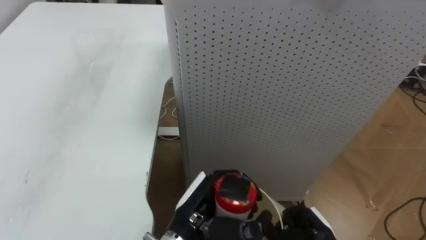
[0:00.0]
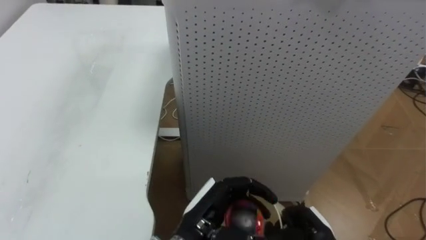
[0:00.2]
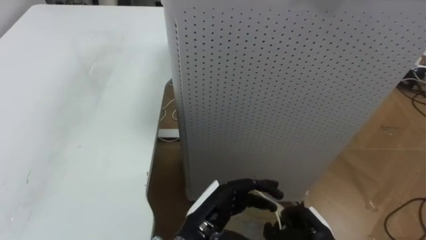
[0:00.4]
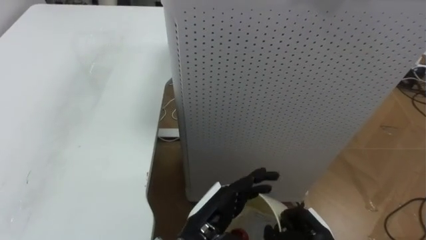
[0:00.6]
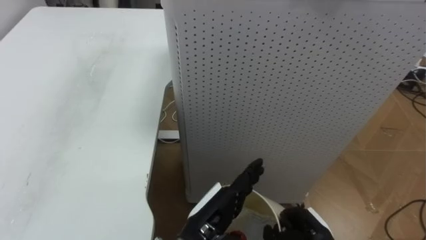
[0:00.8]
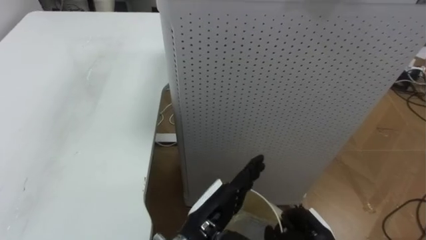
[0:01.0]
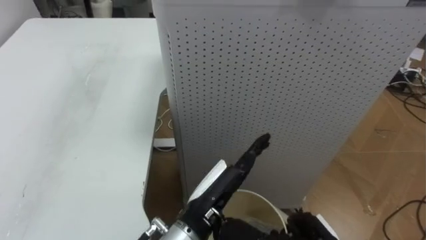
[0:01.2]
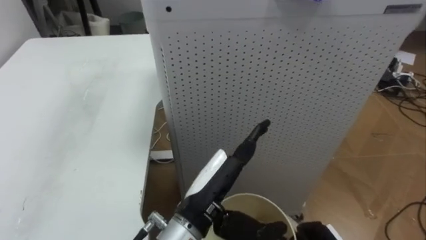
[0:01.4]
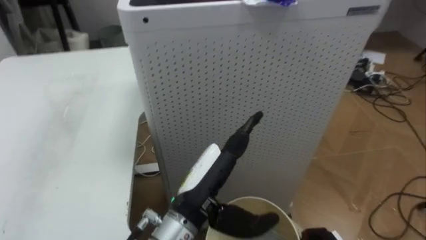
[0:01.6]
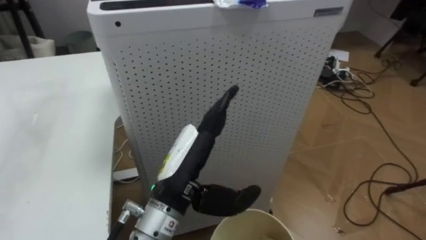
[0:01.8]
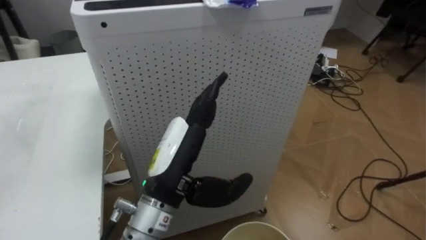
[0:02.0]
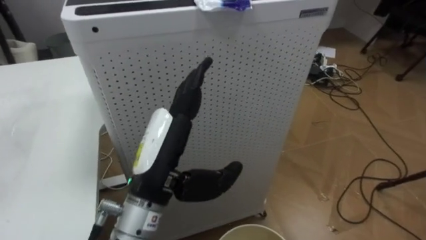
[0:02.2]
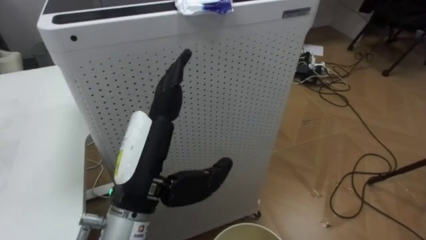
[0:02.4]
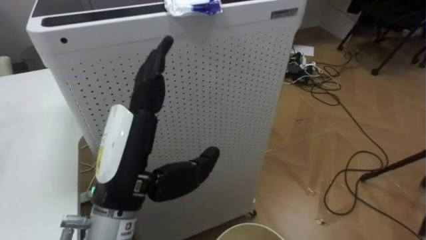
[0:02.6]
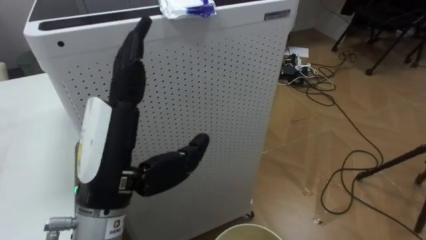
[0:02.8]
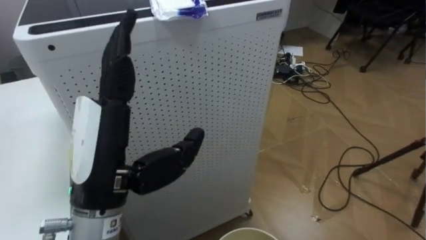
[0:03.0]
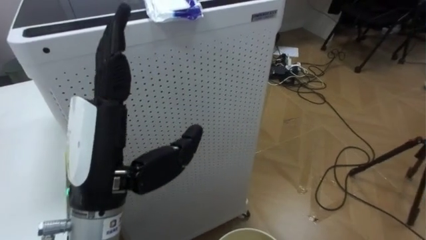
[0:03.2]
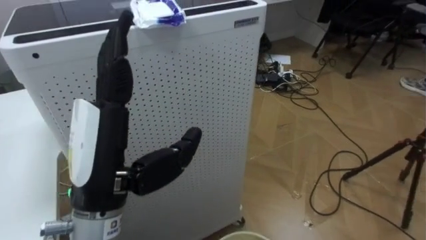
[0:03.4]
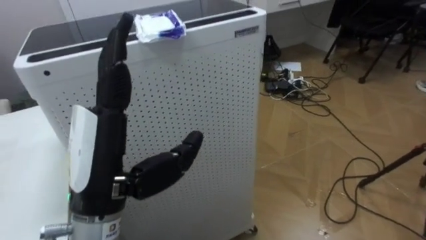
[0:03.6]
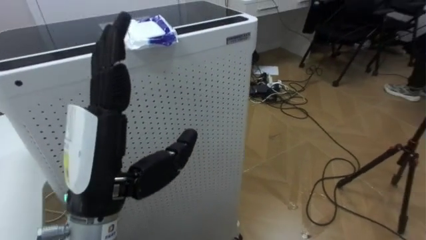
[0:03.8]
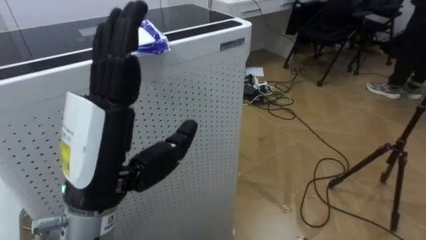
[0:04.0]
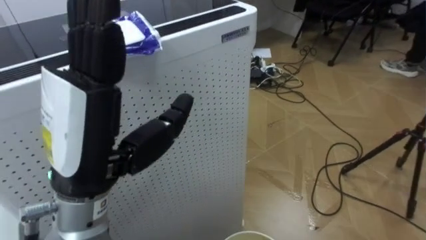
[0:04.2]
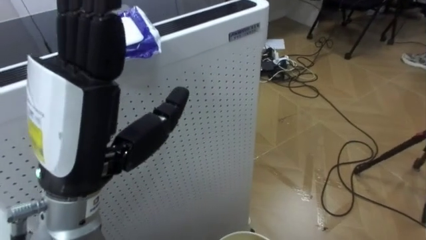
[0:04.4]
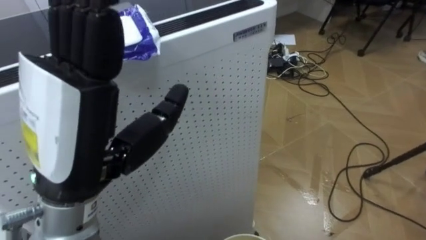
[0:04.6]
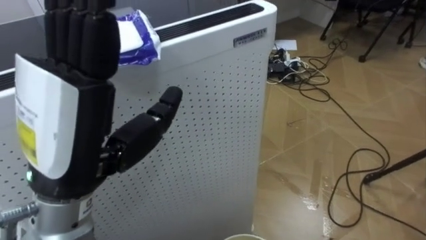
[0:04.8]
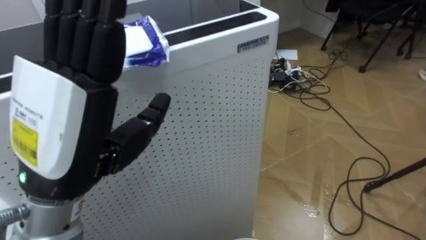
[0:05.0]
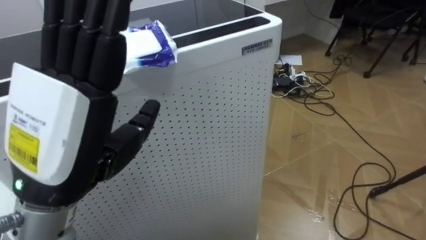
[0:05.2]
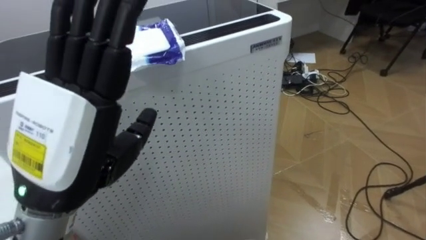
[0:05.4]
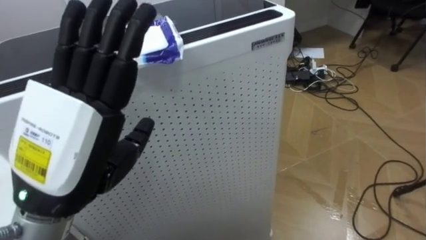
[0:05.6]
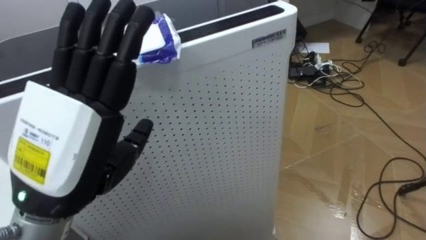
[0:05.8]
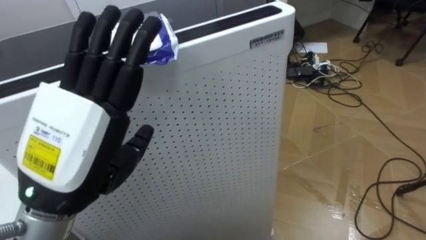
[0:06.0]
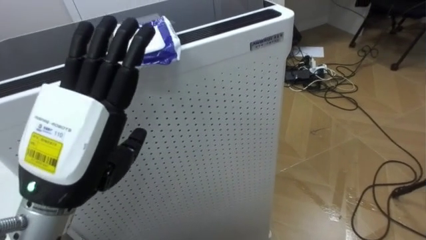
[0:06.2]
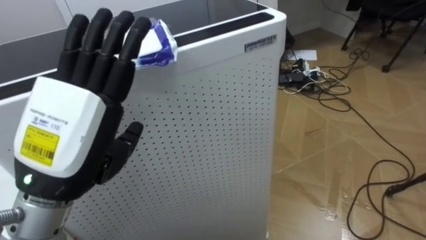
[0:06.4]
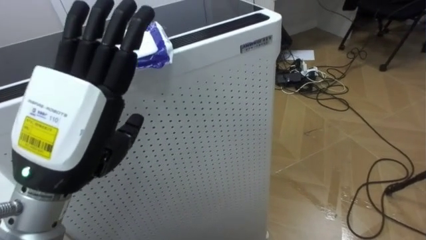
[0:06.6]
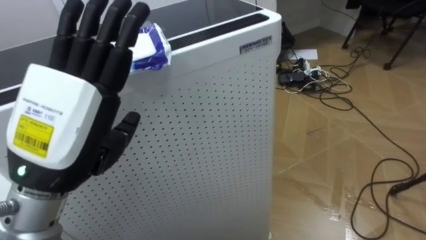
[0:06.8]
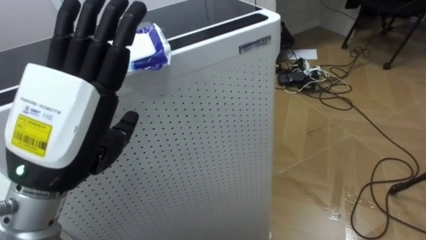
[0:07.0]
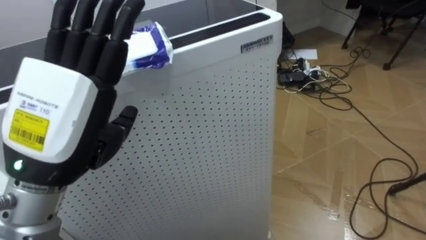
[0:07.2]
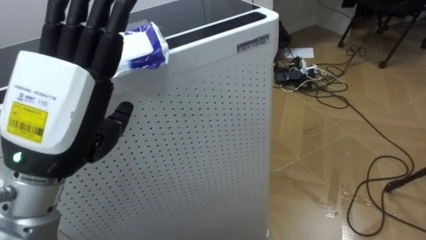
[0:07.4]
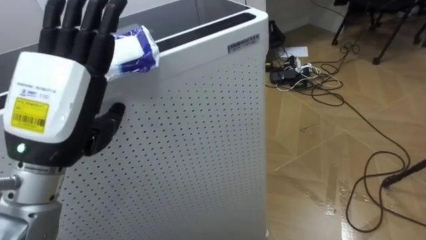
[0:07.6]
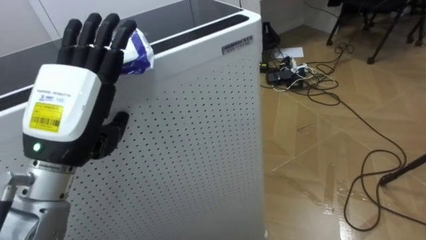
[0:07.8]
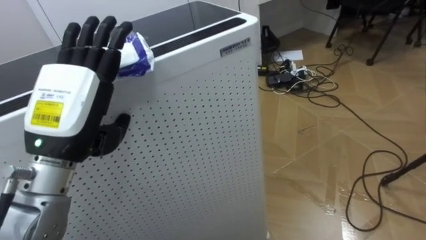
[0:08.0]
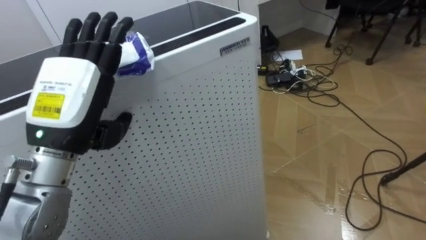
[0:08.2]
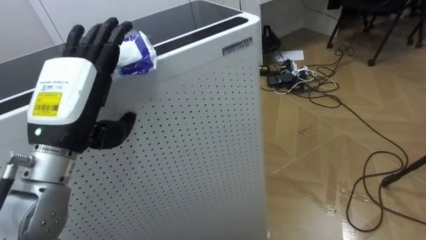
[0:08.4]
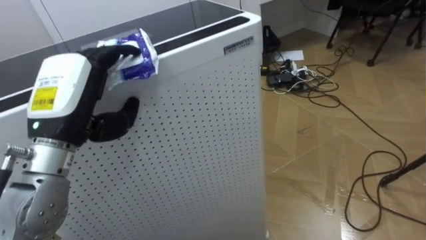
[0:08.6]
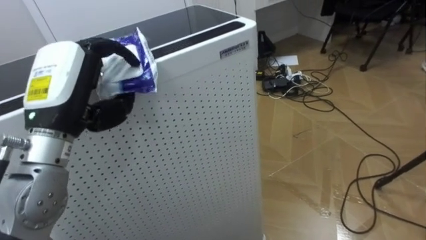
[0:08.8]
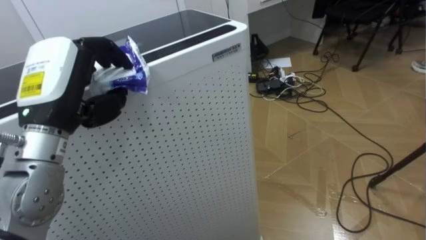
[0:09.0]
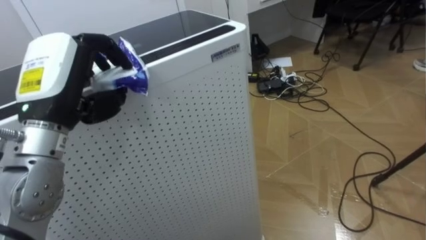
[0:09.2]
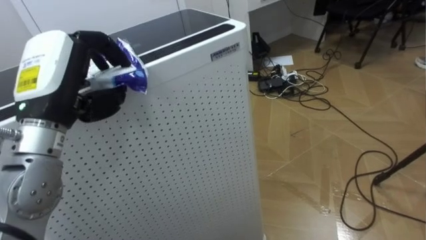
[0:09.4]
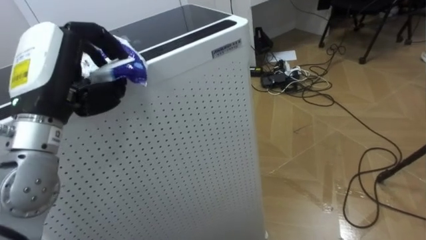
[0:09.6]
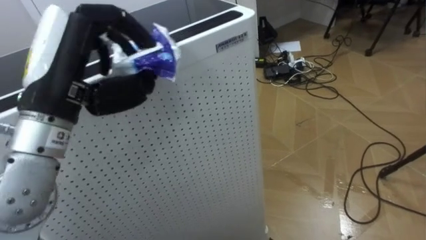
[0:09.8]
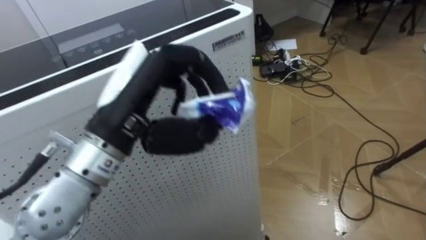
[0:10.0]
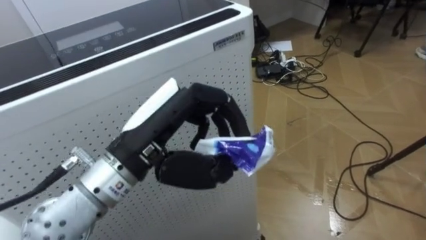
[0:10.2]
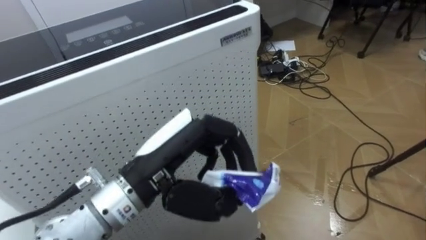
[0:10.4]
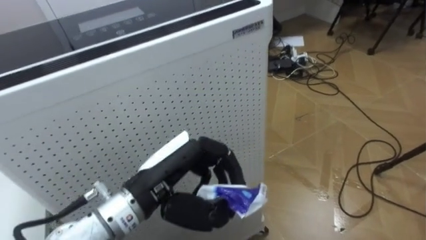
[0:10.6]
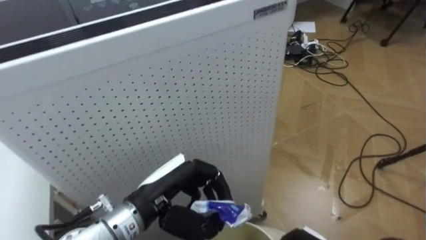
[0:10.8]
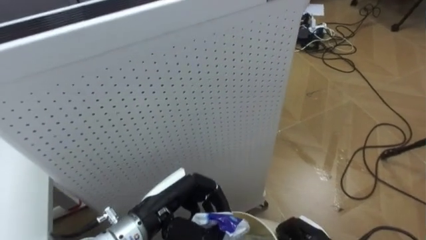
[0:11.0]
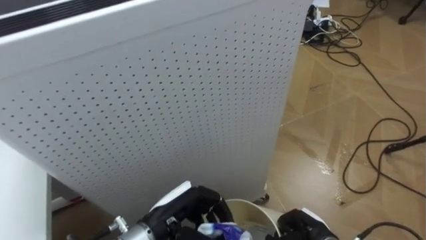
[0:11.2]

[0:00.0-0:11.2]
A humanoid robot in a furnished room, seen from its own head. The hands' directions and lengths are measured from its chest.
Task of the whole recording: Pick up the light blue package, the candy box, and the dark blue package separately, and put them into the trash can held in your right hand.
0:00.0 to 0:01.6: The left hand goes roughly 5 cm upward, and opens.
0:01.6 to 0:03.2: The robot faces approximately 20 degrees further to its right. The left hand moves to the left and upward, roughly 15 cm.
0:03.2 to 0:04.8: The left hand heads upward, covering roughly 5 cm.
0:04.8 to 0:06.4: The left hand moves roughly 5 cm.
0:06.4 to 0:08.0: The left hand travels forward by approximately 5 cm.
0:08.0 to 0:09.6: The left hand closes its fingers.
0:09.6 to 0:11.2: The left hand heads downward and to the right, covering some 25 cm.

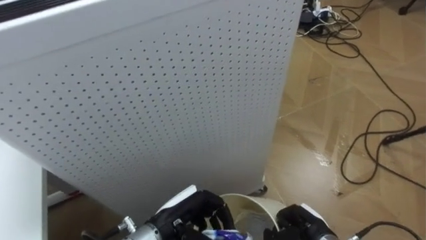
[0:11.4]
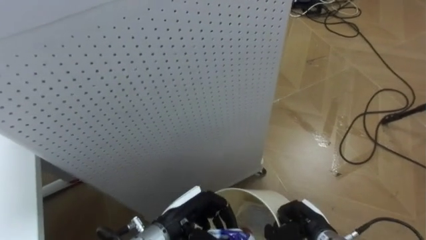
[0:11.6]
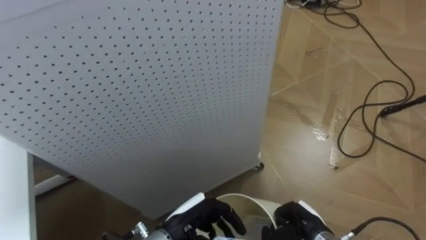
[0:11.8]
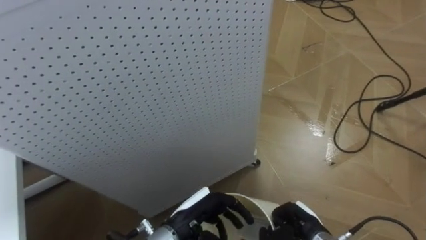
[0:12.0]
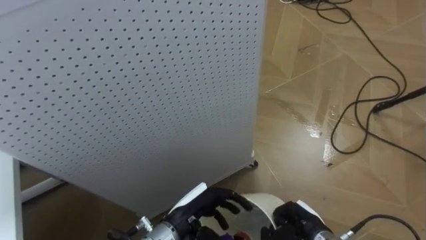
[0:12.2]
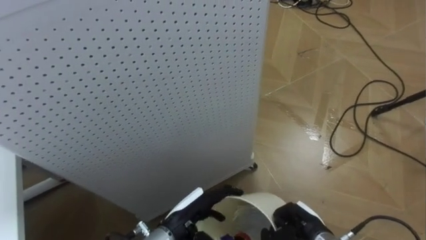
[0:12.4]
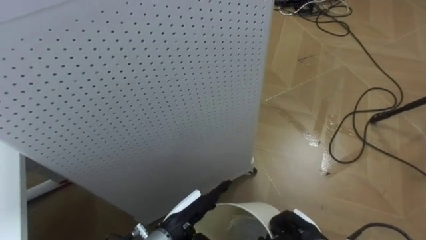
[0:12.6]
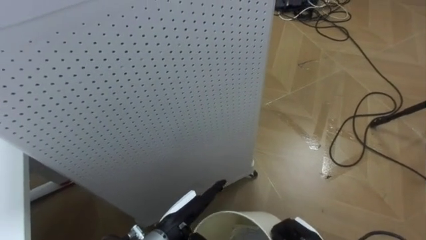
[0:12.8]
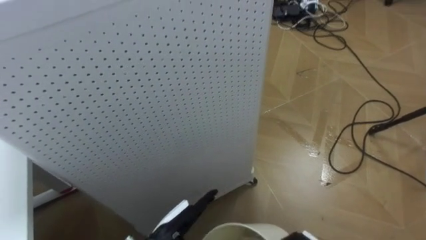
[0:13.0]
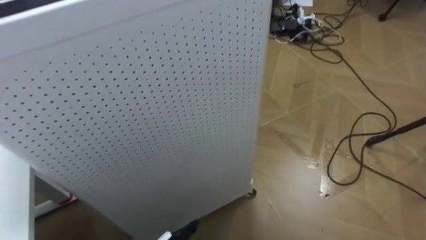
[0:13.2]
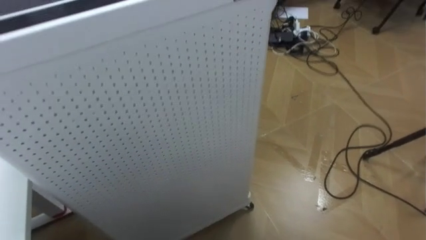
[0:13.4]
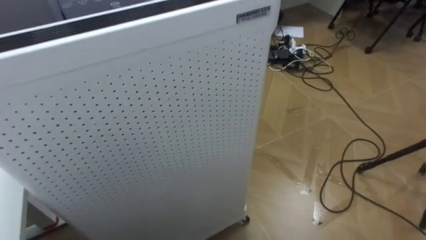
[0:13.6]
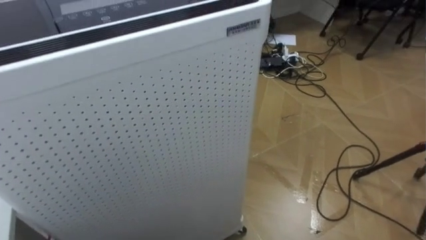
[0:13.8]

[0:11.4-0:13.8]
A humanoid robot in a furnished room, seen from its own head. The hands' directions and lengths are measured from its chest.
Task of the whole recording: Pick up the light blue package, the candy box, and the dark blue package separately, and put them into the trash can held in your right hand.
0:11.4 to 0:12.6: The left hand opens.

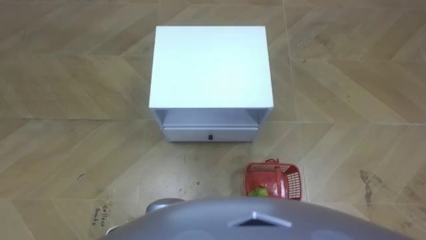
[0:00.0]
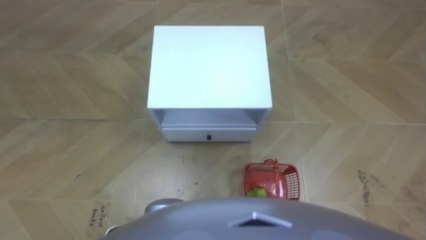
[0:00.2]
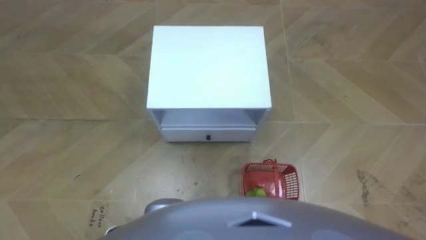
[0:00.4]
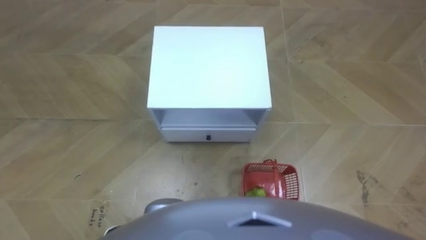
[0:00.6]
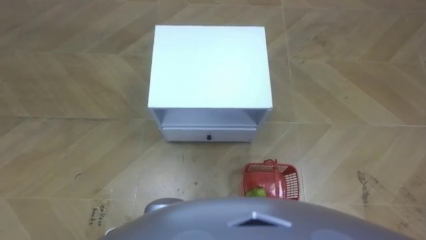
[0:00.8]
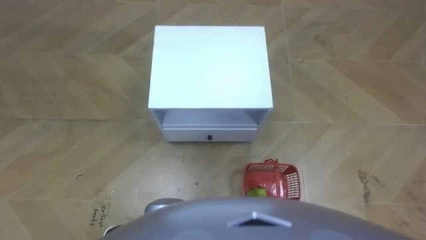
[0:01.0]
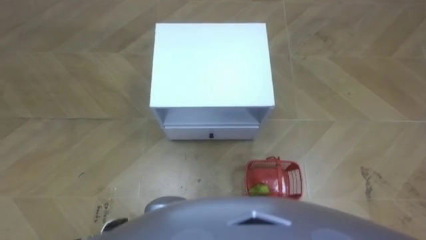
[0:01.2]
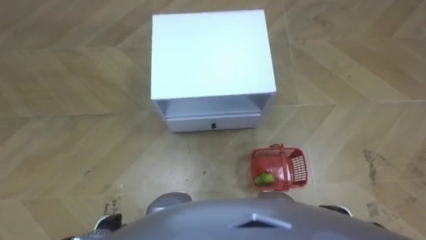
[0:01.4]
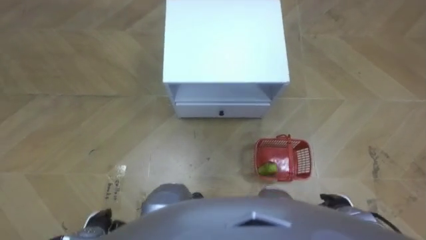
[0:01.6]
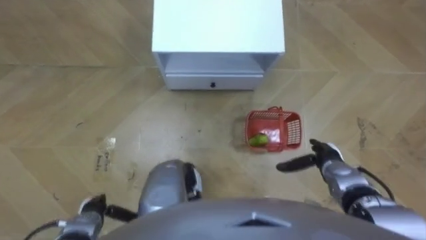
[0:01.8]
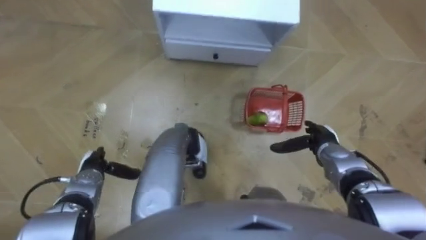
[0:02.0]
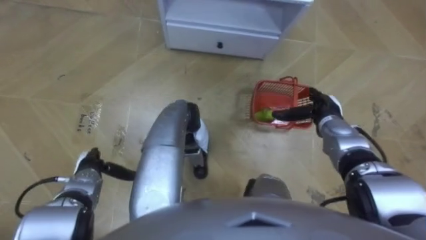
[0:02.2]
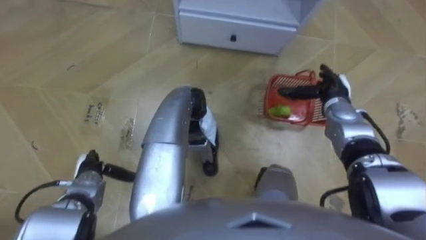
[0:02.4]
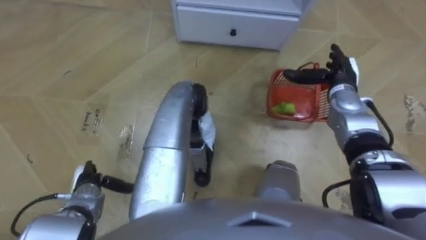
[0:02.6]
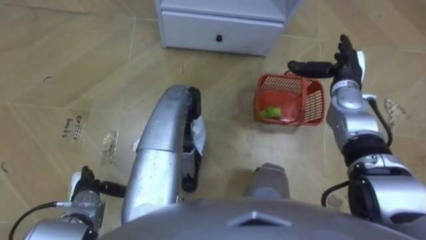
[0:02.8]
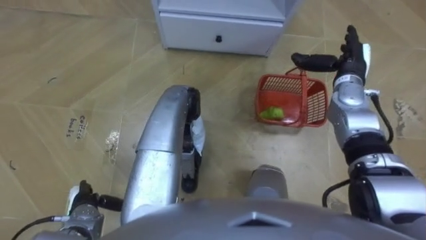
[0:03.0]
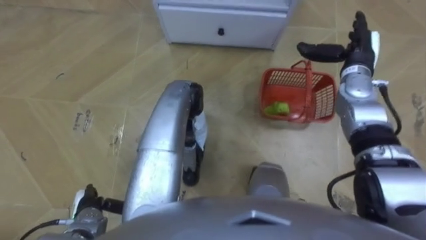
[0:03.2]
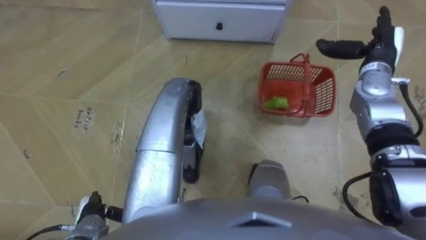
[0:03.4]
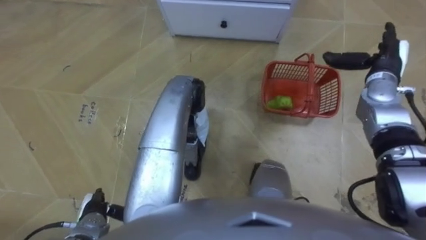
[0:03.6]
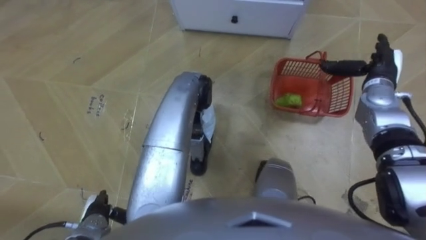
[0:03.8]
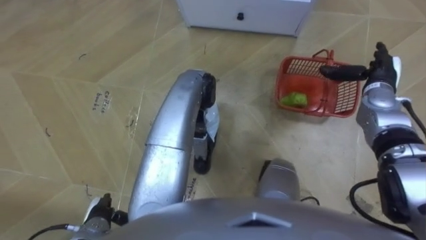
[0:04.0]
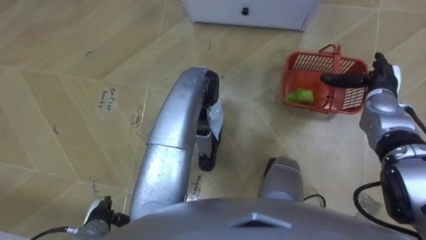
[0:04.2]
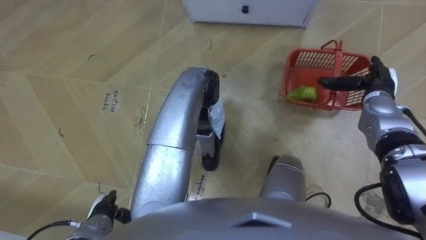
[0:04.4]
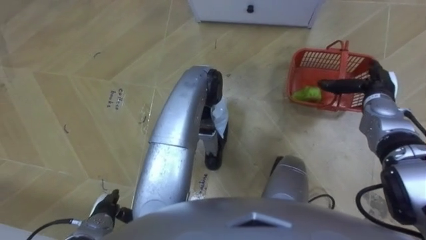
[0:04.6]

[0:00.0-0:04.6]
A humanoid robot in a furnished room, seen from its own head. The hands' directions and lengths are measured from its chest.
Task of the whole recording: Pick up the fruit basket from the floor and place it on the cabinet.
0:01.6 to 0:03.0: The right hand heads forward and upward, covering approximately 35 cm.
0:03.0 to 0:04.6: The right hand shifts about 5 cm to the right; the left hand ends up roughly 5 cm from where it was.
